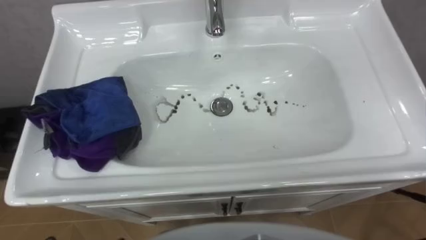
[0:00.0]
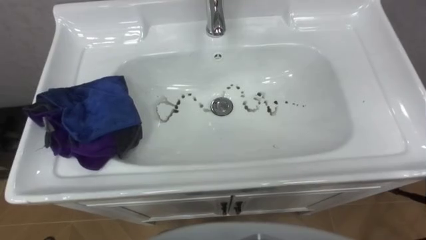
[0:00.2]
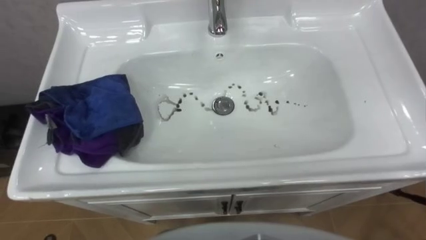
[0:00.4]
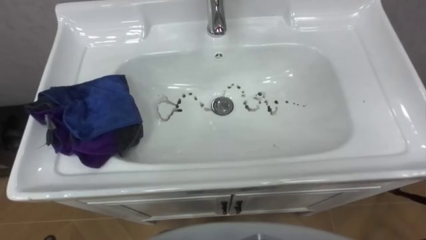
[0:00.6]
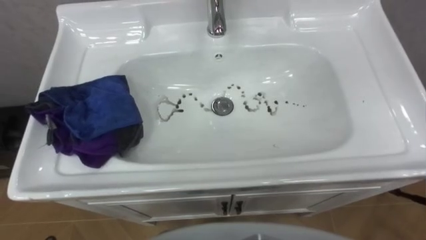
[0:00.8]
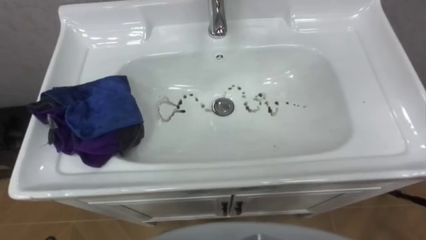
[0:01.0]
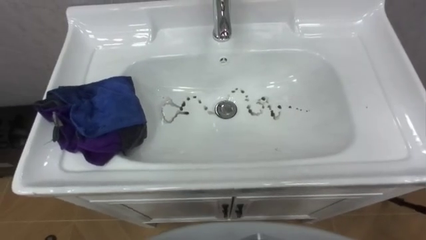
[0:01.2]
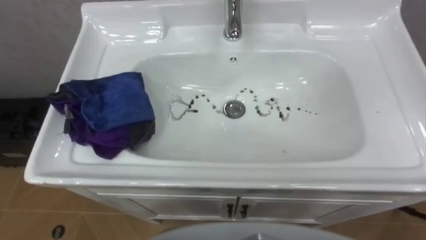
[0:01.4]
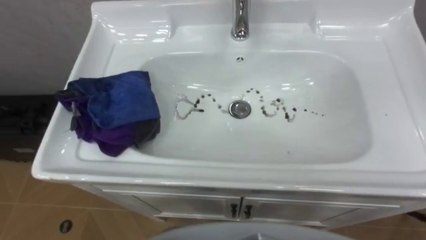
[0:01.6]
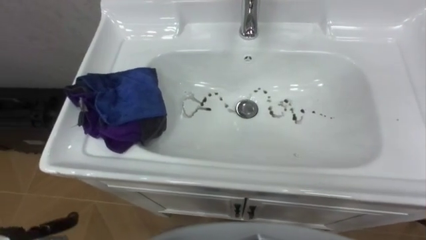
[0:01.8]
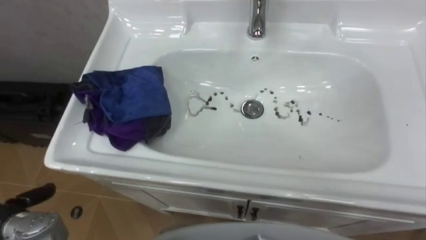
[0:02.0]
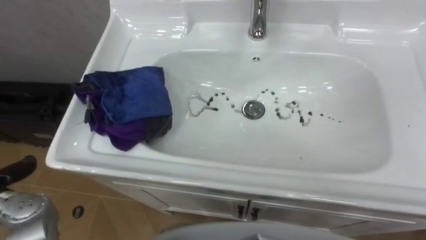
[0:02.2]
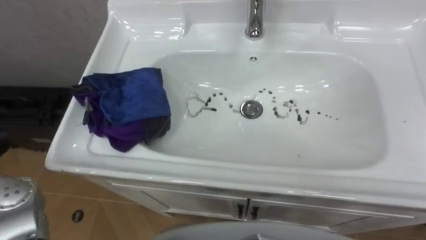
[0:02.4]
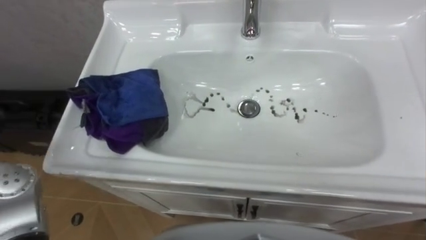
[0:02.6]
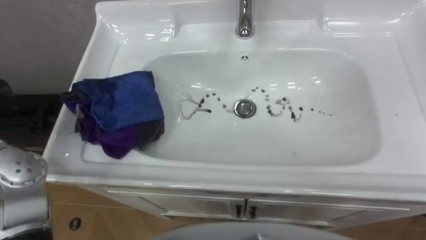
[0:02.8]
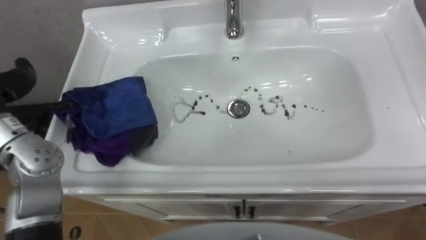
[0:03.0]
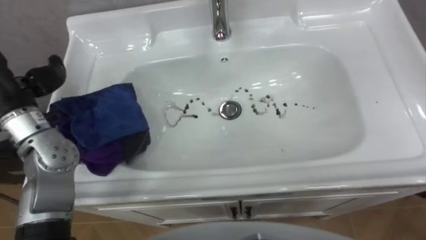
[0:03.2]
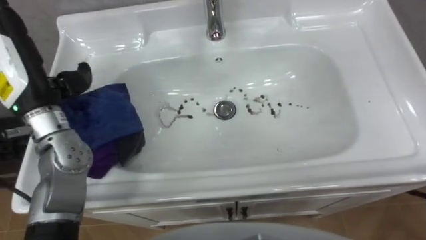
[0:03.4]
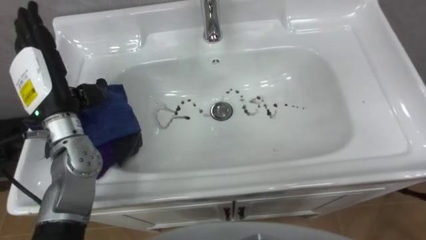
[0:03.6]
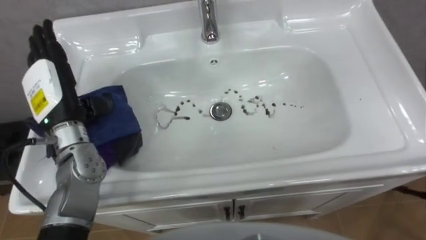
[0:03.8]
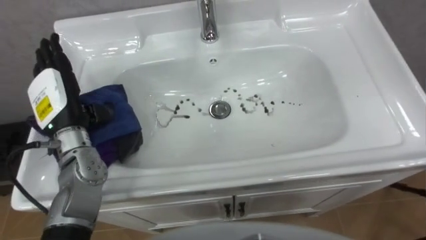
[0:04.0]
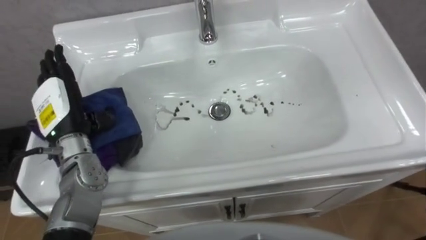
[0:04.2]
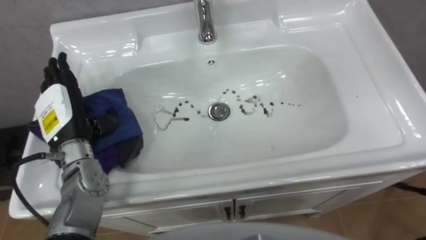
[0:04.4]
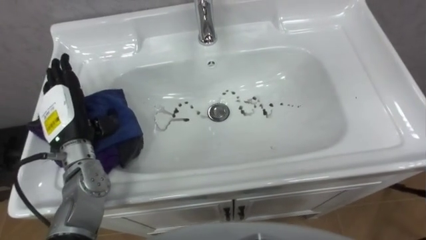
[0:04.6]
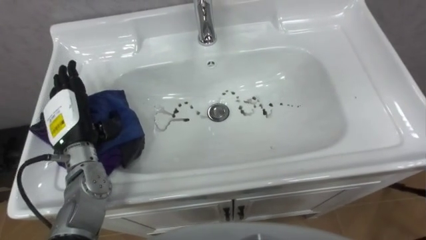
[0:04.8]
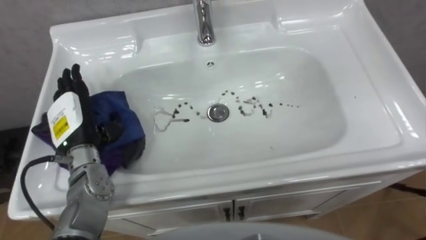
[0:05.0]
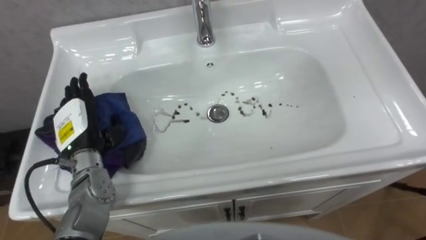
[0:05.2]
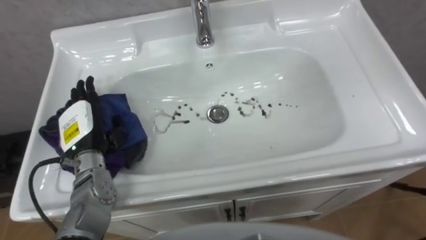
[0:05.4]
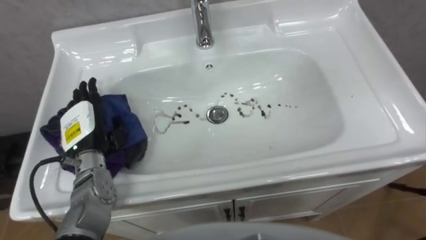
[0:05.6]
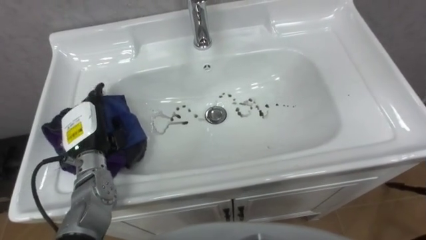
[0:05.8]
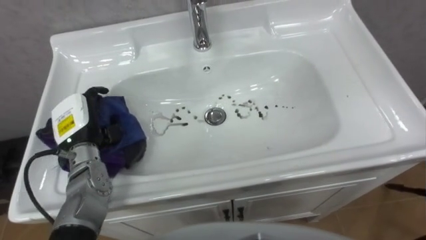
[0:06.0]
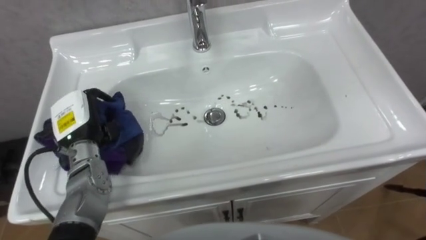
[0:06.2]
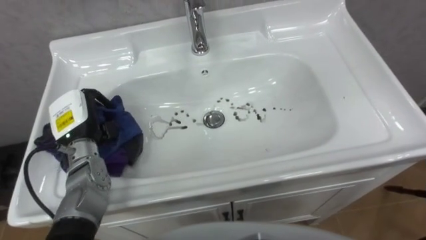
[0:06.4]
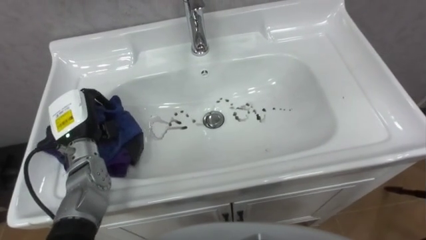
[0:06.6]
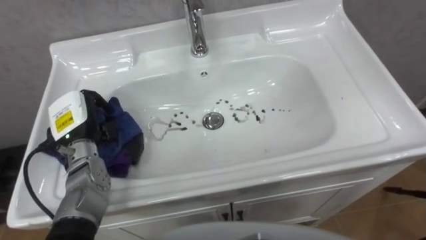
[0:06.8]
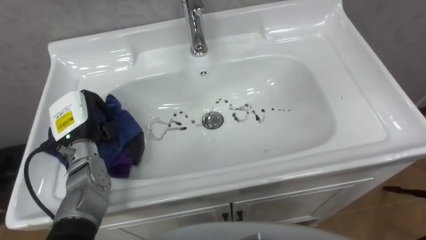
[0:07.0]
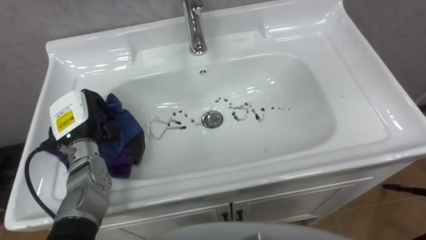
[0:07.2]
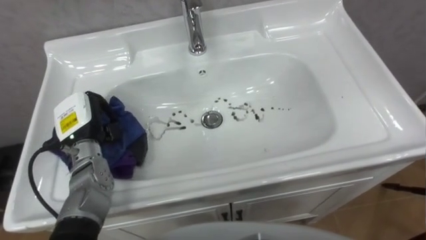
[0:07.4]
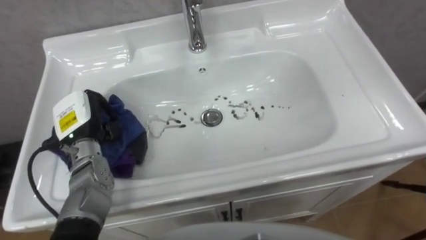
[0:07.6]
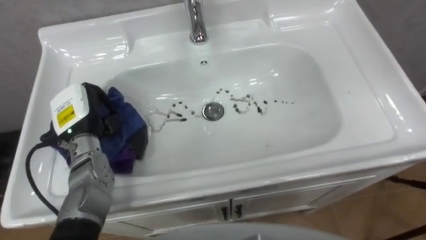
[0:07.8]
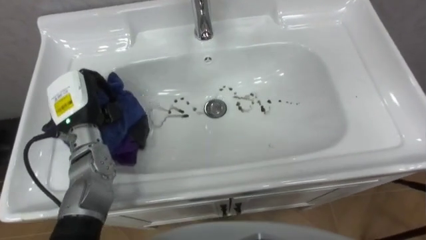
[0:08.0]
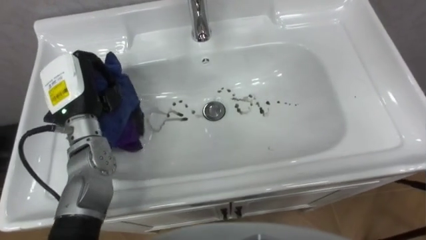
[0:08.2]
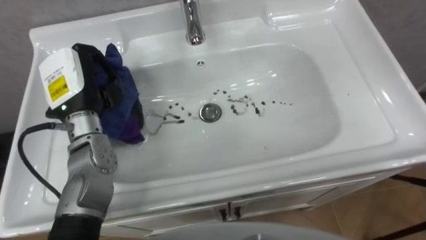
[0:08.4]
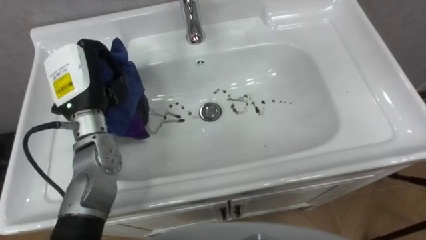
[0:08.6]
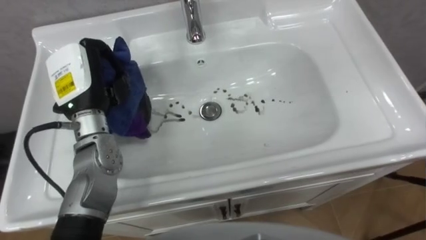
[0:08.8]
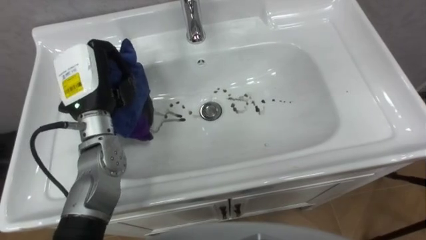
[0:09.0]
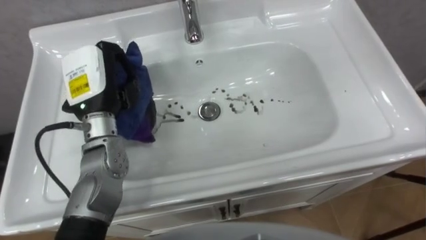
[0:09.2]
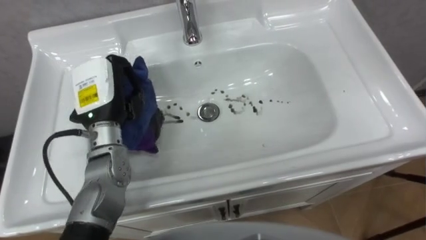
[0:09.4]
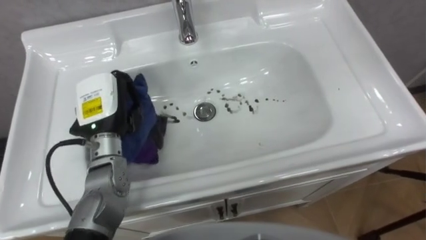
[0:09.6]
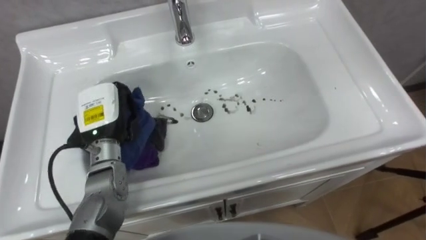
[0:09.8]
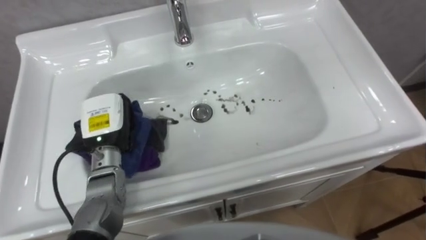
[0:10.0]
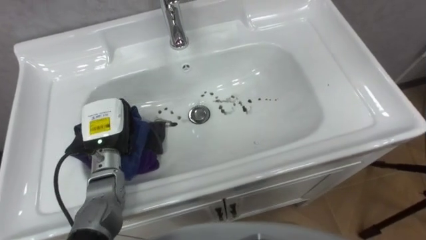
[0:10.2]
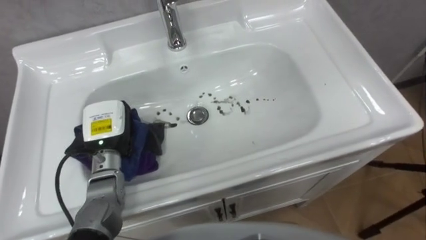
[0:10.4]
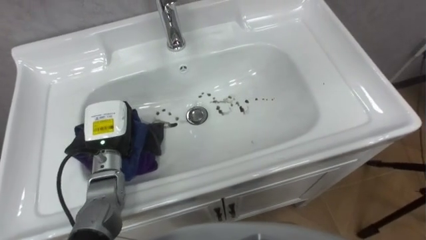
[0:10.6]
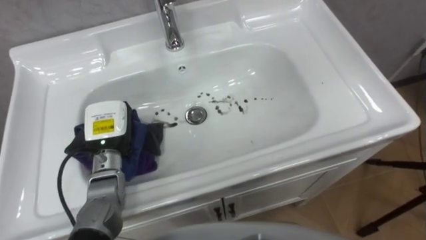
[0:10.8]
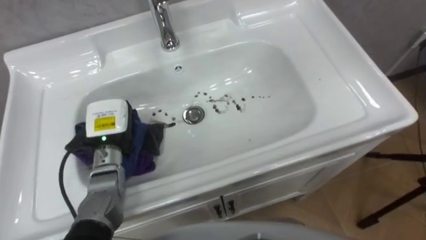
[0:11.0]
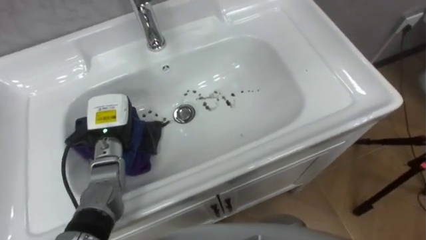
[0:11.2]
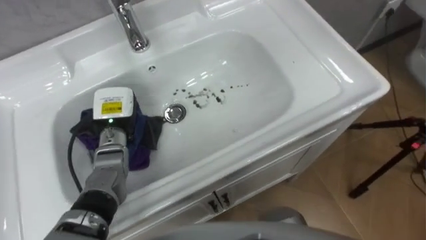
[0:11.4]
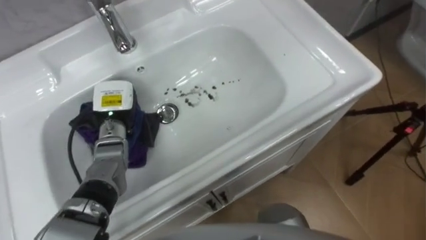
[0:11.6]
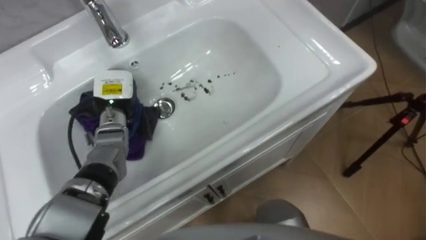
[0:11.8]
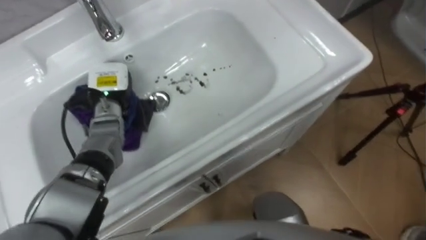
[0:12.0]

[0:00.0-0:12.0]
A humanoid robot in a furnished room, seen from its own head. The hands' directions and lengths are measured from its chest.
Task of the whole recording: Use the cloth on the right to wipe away the black stain in the sink.
0:04.4 to 0:06.0: The left hand closes up.
0:06.0 to 0:07.6: The left hand closes up.
0:07.6 to 0:09.0: The left hand goes roughly 10 cm upward.
0:09.0 to 0:10.4: The left hand shifts roughly 10 cm downward.
0:10.4 to 0:12.0: The left hand goes some 10 cm forward.

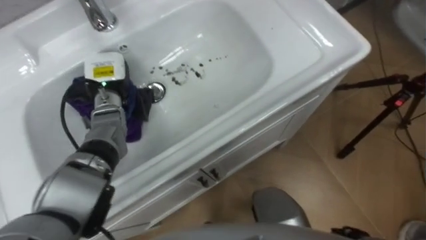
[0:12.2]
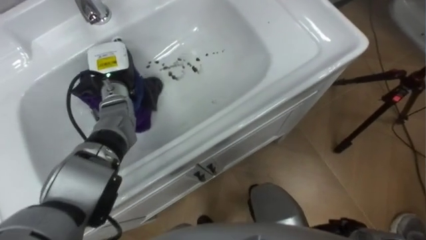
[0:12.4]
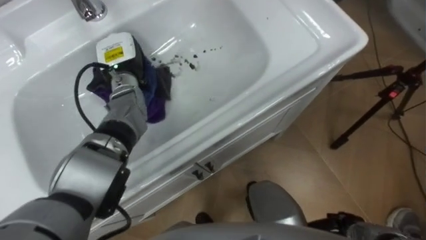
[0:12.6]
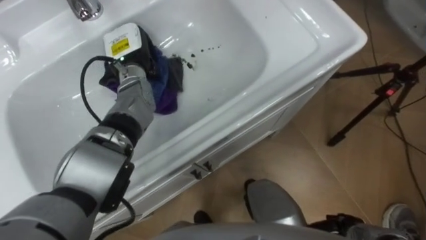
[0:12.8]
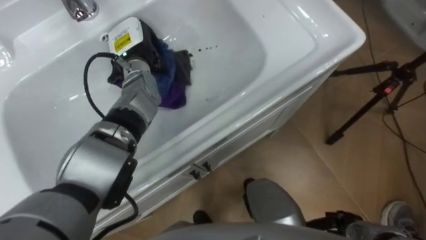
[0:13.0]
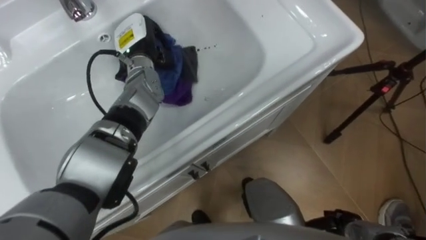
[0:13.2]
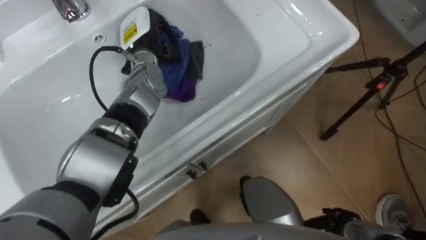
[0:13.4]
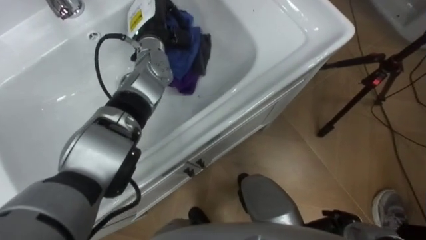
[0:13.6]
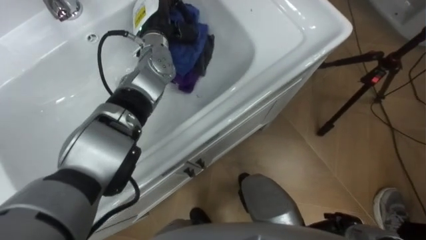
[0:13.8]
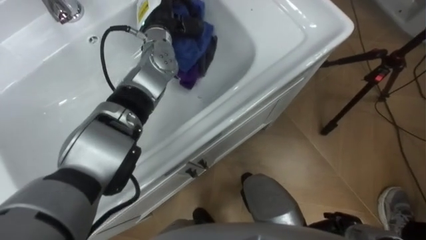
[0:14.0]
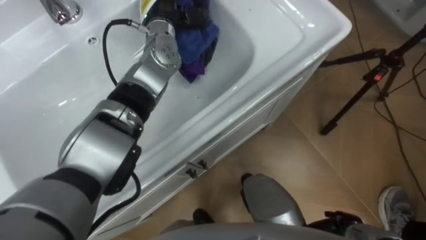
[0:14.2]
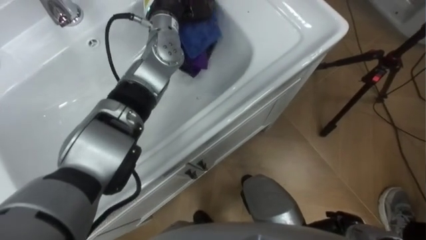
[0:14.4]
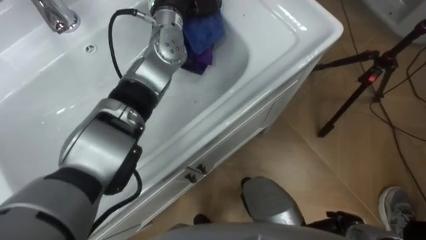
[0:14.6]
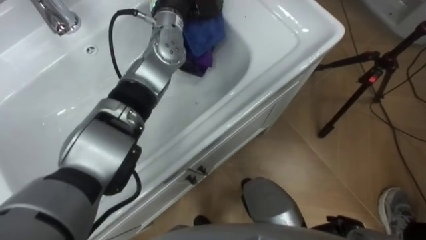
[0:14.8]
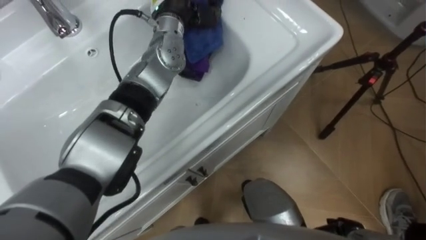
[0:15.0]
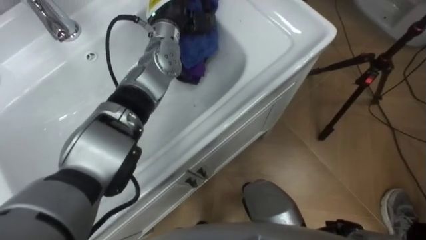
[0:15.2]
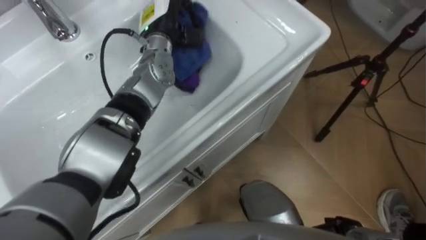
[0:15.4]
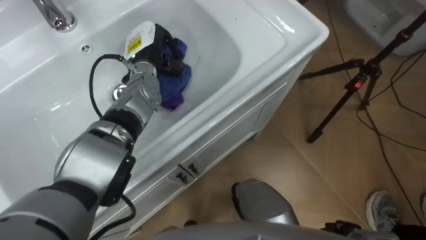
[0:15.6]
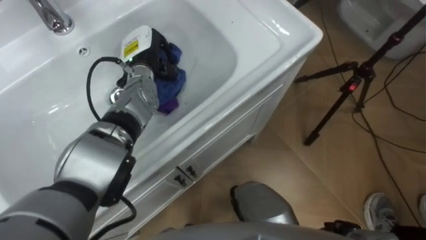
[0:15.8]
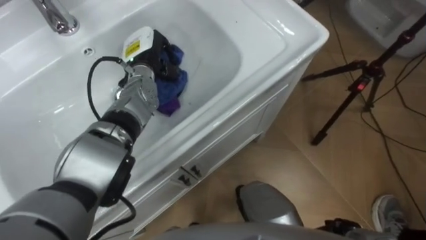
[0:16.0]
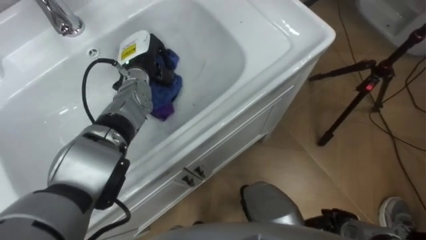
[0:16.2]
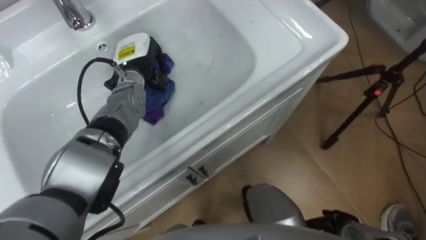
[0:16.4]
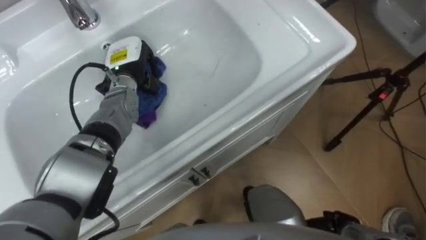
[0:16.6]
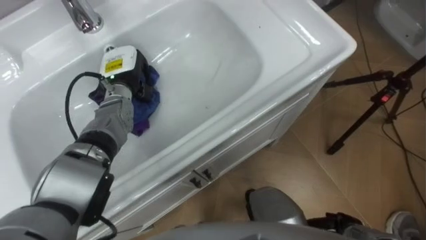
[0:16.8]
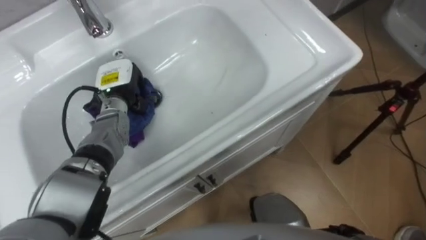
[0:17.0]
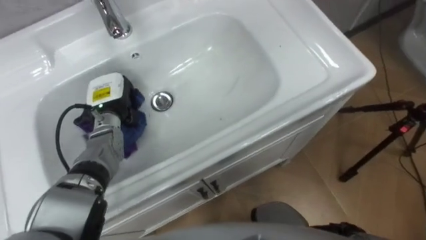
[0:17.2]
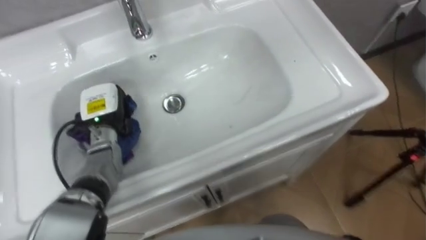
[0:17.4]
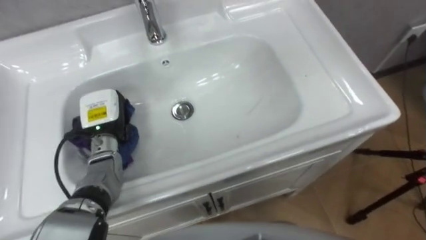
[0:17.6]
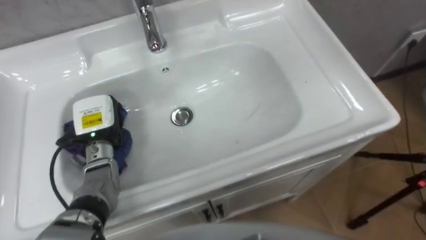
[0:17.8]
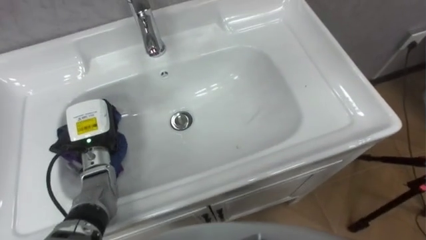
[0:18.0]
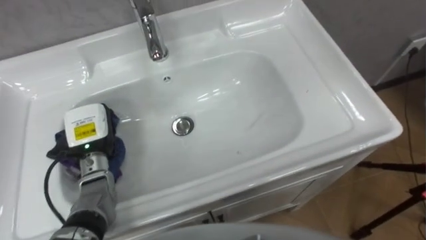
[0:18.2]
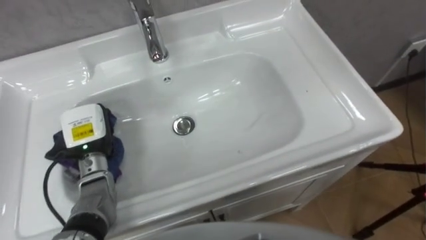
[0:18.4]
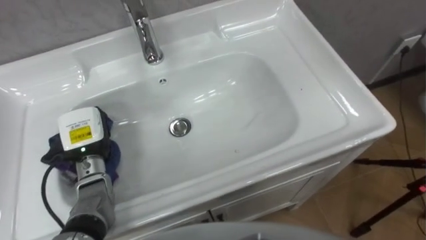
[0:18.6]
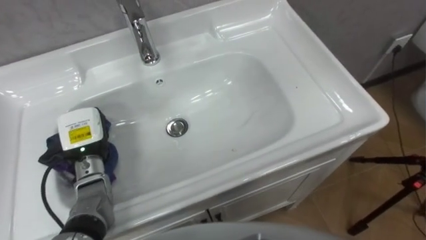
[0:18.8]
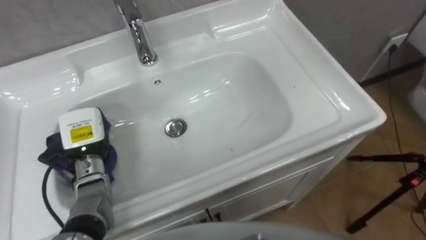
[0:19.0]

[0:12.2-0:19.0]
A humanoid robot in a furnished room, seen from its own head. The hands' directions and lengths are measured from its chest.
Task of the whole recording: Use the cloth on the right to wipe away the black stain in the sink.
0:12.2 to 0:13.6: The left hand goes approximately 15 cm to the right, upward and forward.
0:16.2 to 0:17.6: The left hand moves backward, to the left and downward, approximately 15 cm.
0:17.6 to 0:19.0: The left hand ends up some 5 cm from where it was.
